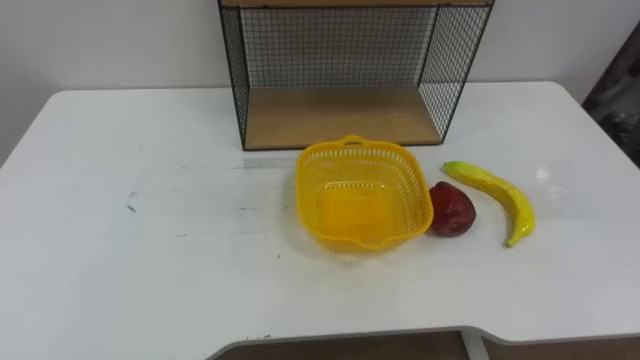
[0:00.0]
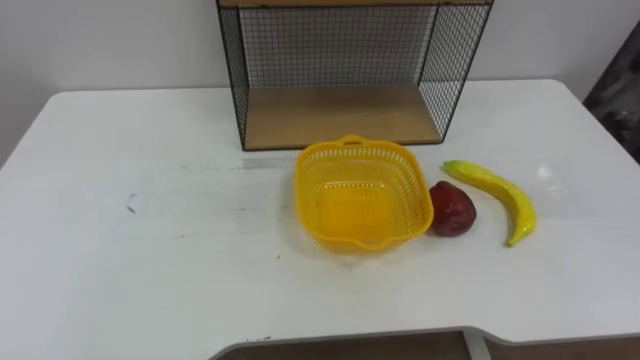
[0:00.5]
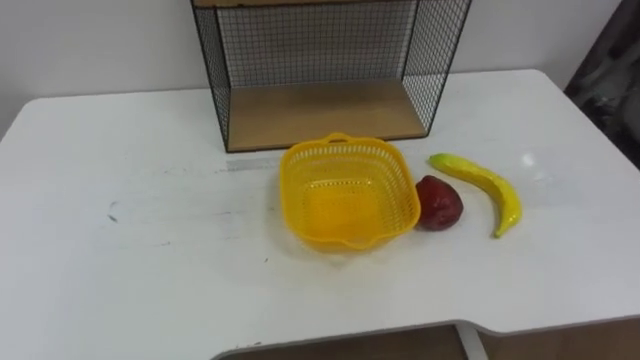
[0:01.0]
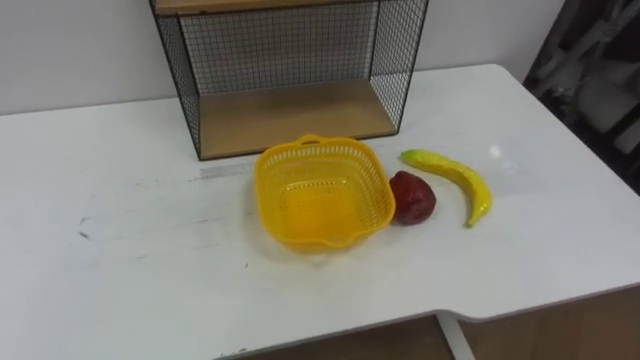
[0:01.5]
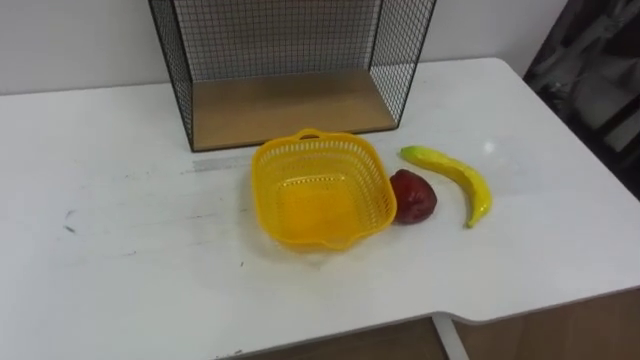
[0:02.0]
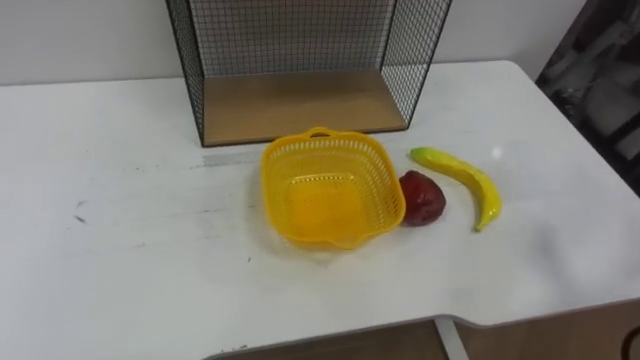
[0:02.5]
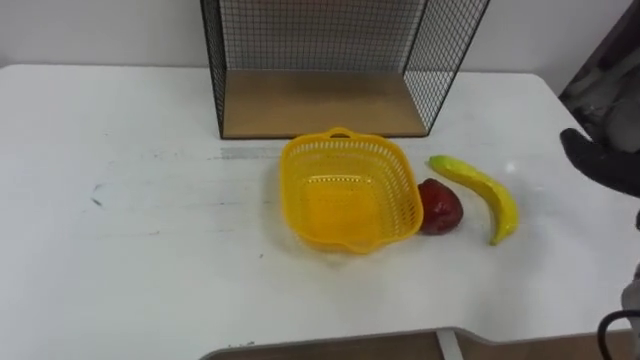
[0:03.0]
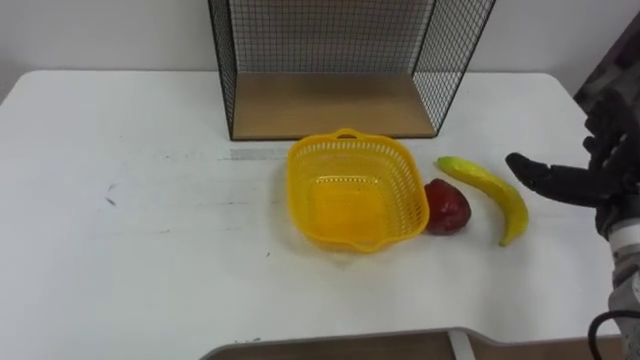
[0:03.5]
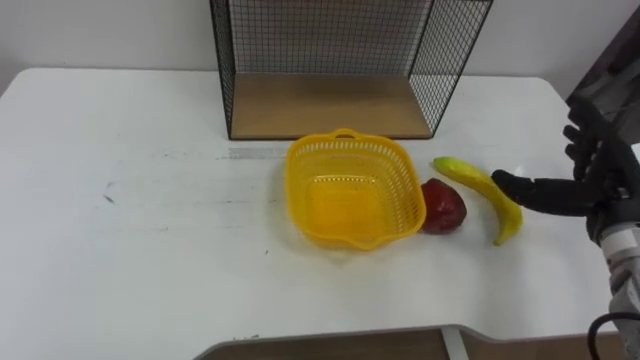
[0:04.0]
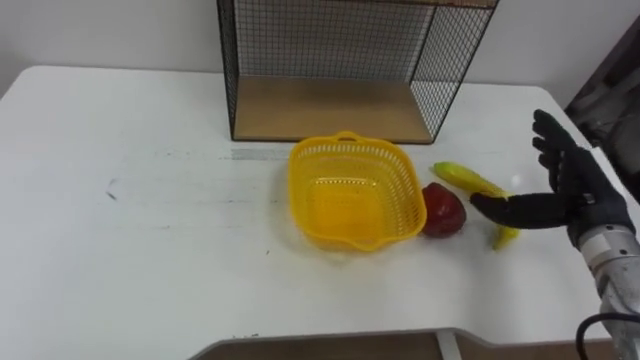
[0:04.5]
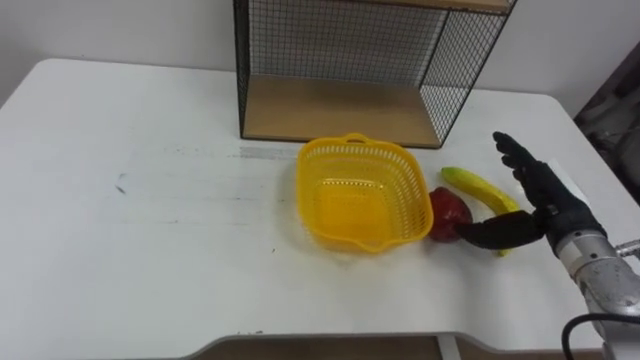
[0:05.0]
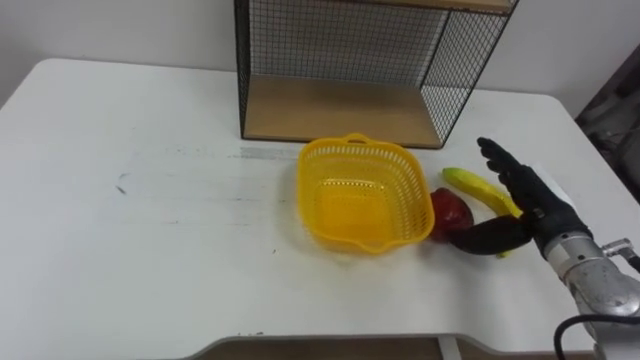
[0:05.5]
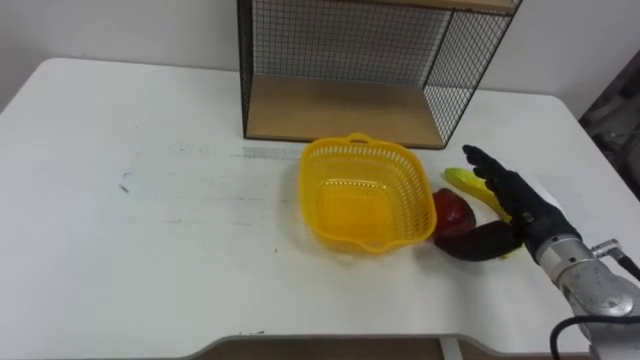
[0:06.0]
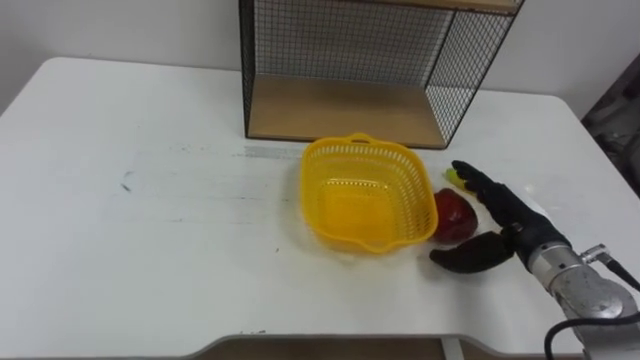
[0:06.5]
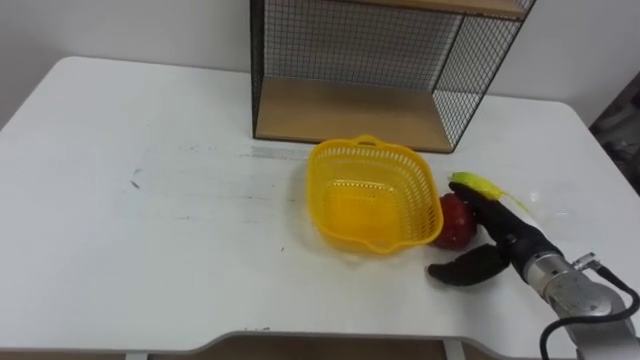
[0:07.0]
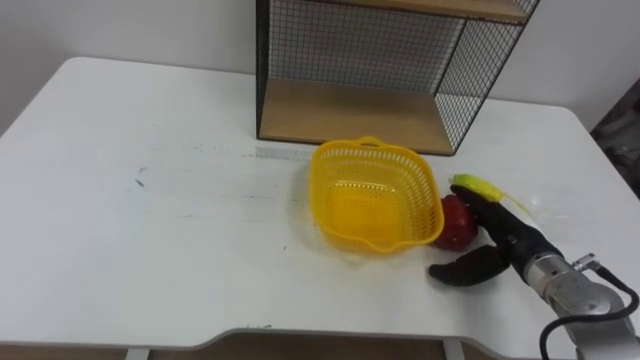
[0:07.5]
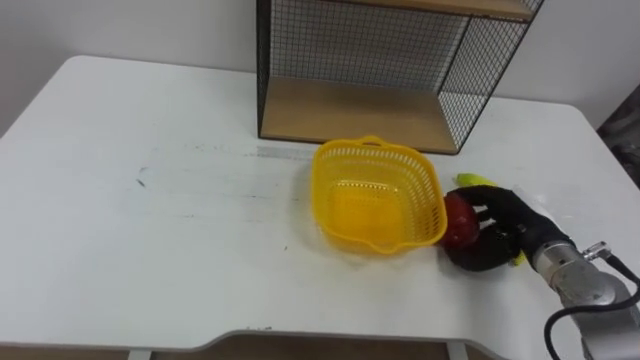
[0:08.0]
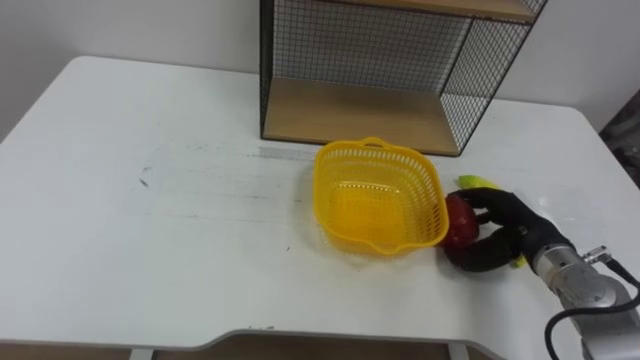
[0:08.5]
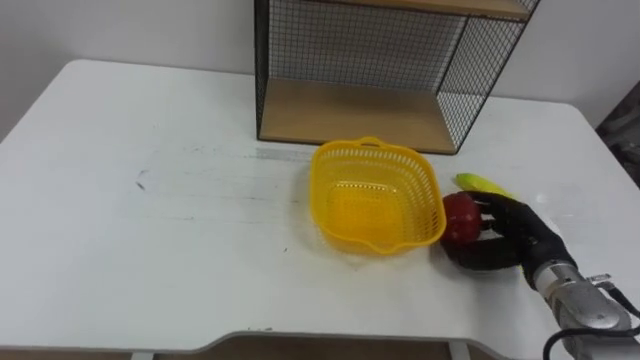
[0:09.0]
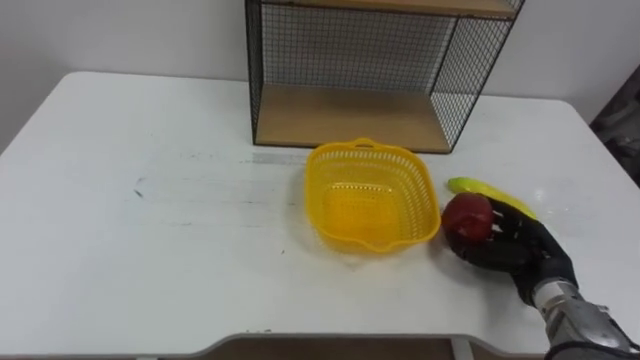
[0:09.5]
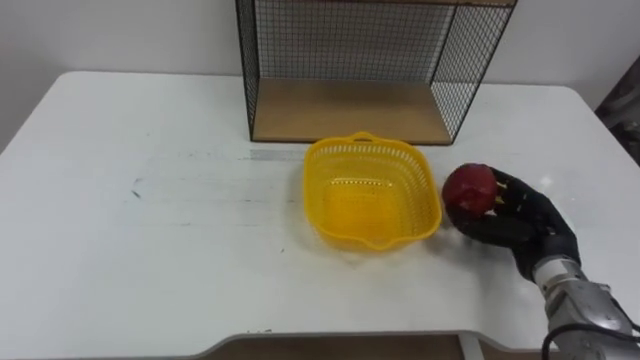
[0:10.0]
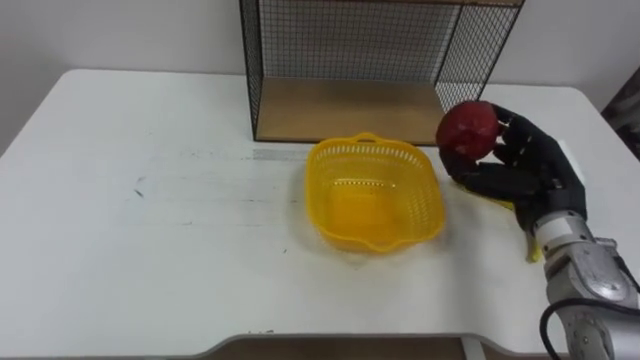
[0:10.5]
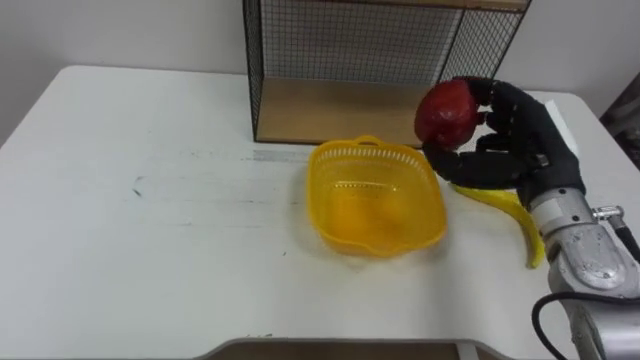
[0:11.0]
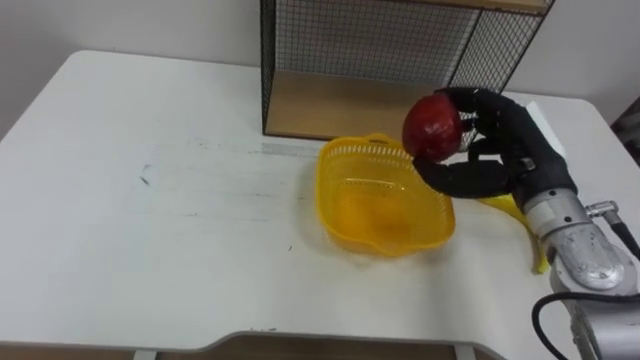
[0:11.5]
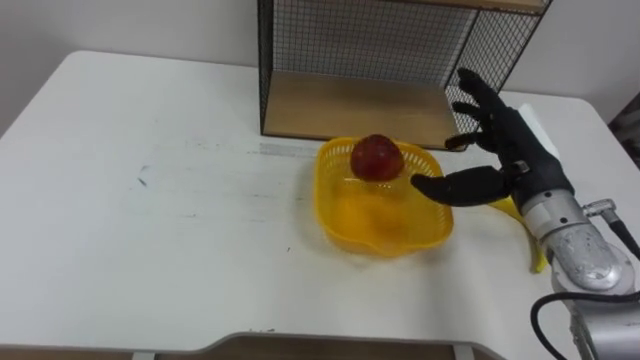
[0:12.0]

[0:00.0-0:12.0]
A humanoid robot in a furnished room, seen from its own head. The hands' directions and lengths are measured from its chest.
Task of the whole recording: Put the fruit on the table into the basket, then place the basket on the shelf.
0:04.0 to 0:06.0: The right hand travels to the left by approximately 5 cm.
0:06.0 to 0:08.0: The right hand closes.
0:10.0 to 0:12.0: The right hand goes roughly 15 cm upward and to the left, and opens up.

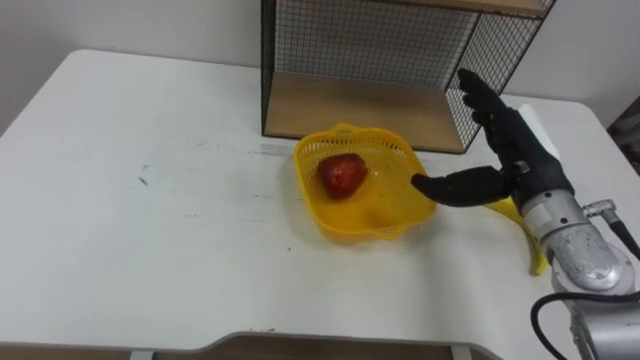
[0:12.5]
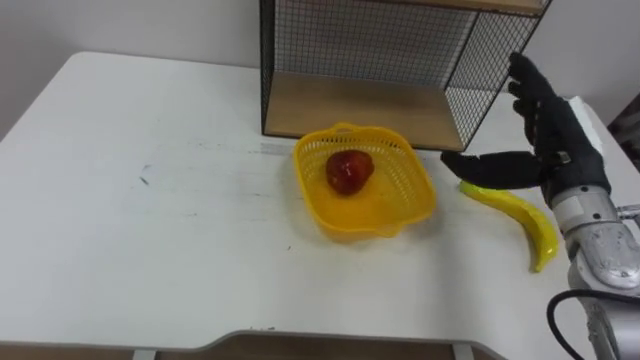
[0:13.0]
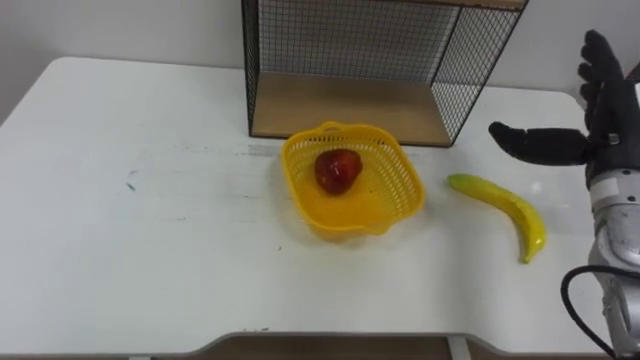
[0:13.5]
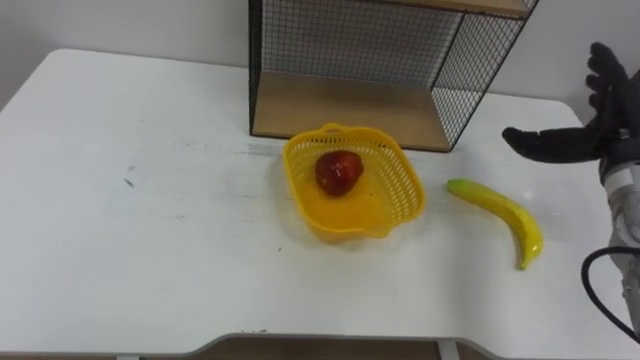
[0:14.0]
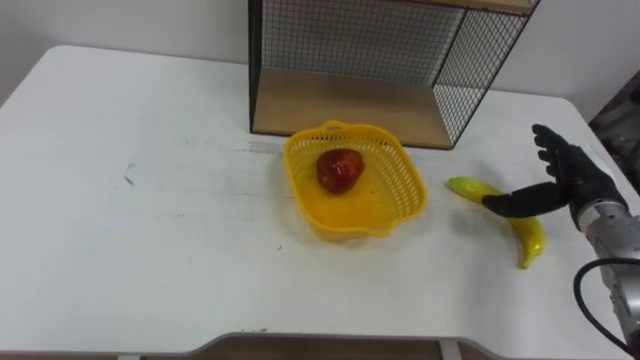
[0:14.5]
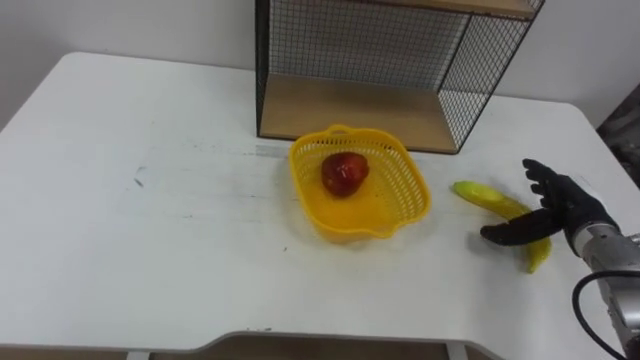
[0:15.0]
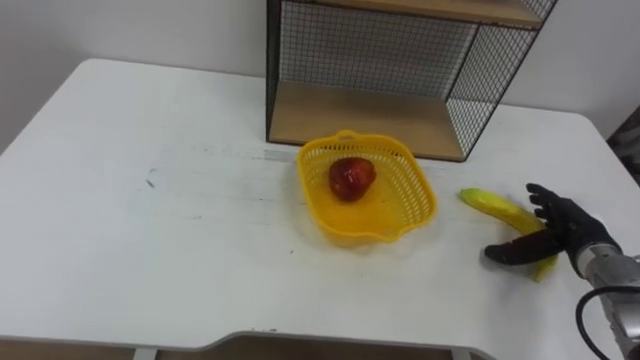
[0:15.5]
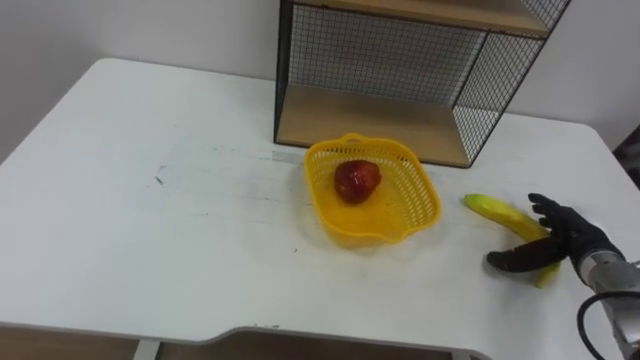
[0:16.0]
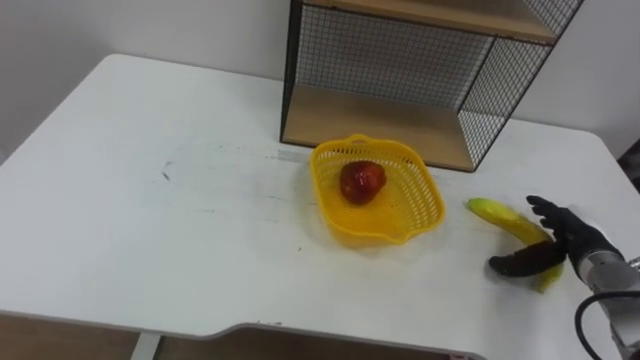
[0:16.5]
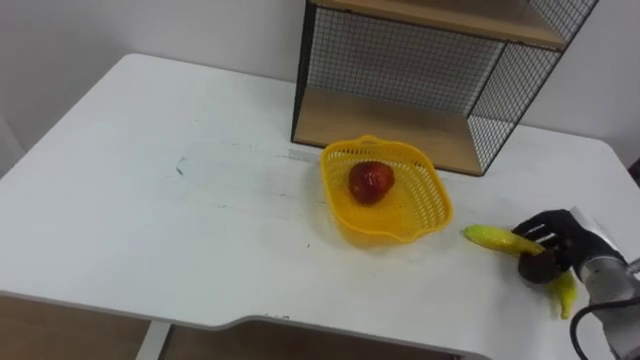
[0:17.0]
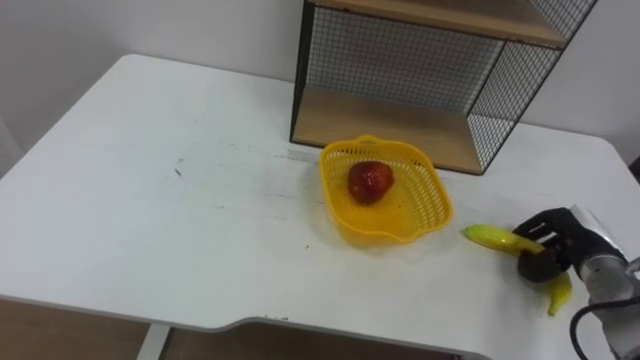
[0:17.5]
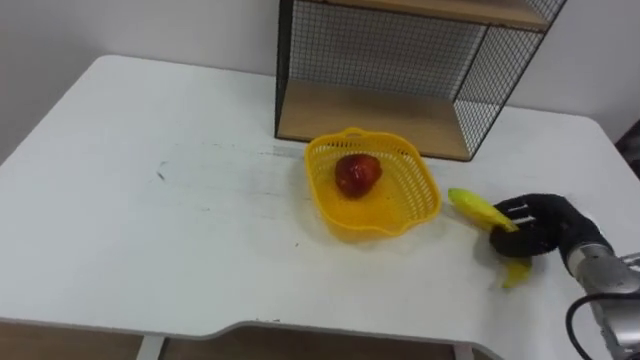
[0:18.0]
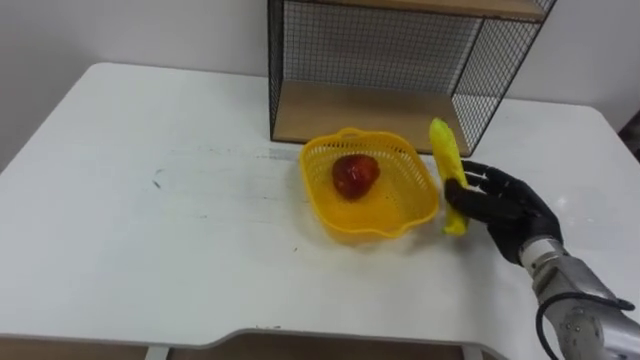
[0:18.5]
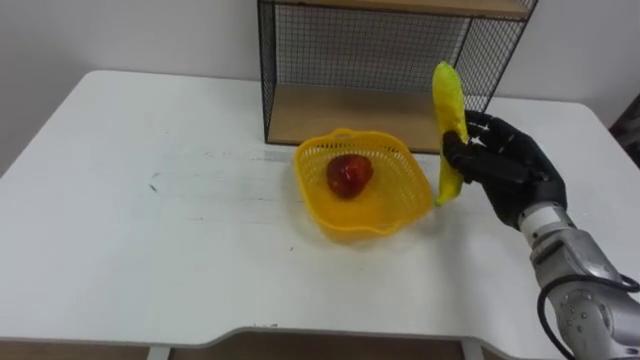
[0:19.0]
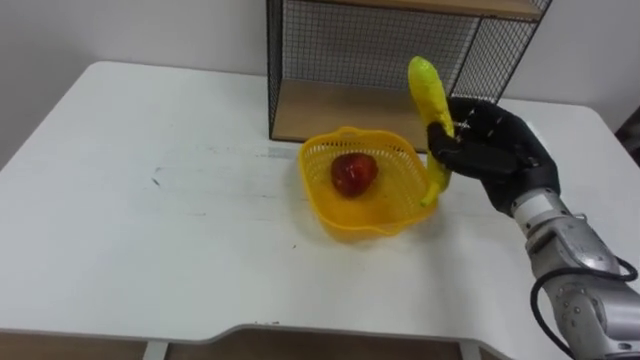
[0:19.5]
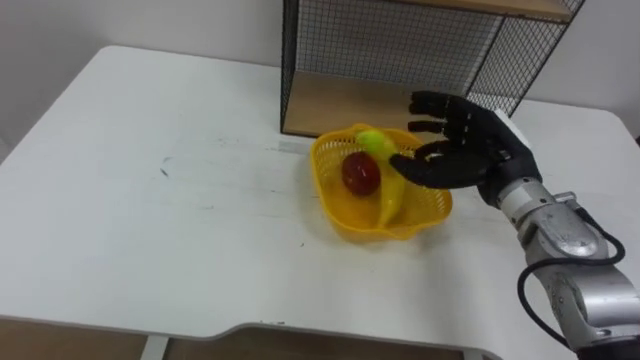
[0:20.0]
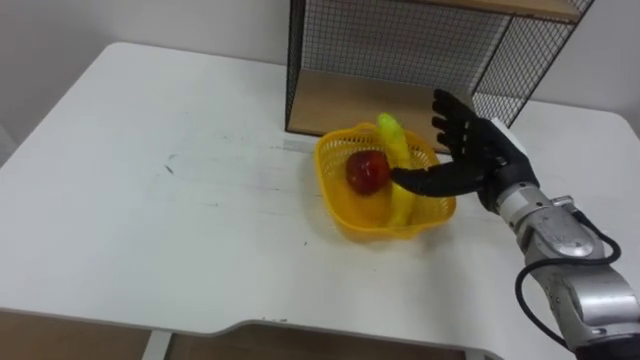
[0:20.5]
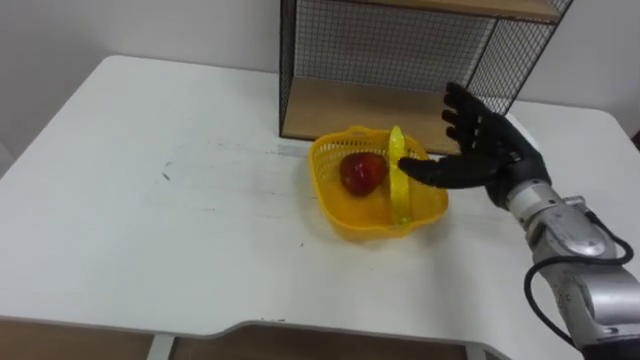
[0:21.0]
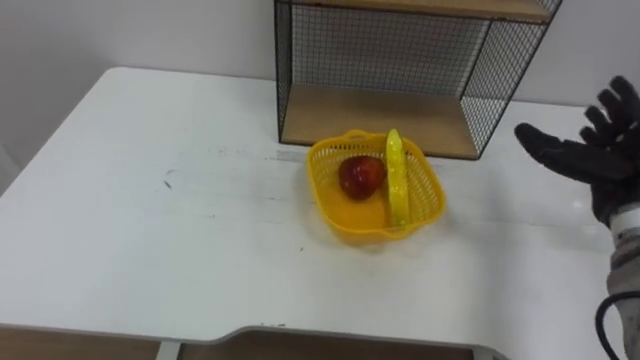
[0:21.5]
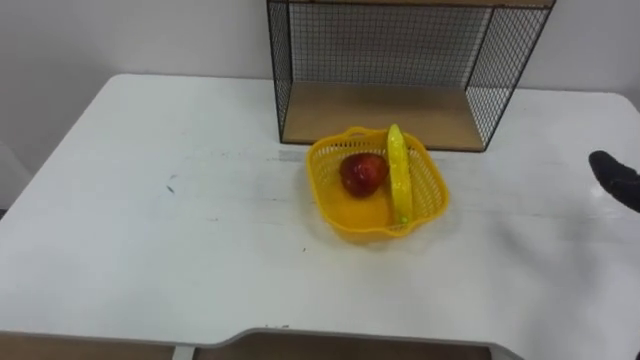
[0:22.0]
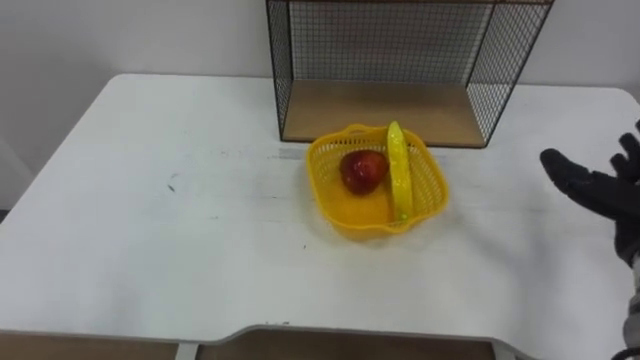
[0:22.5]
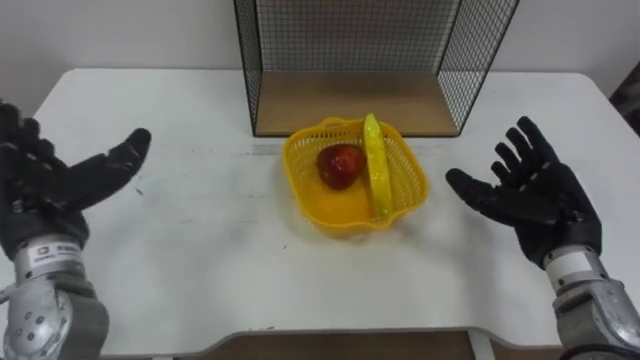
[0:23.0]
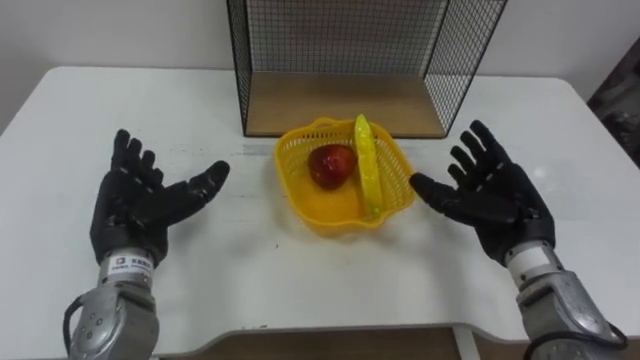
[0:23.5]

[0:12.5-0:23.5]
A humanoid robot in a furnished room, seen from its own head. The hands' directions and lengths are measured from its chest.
Task of the whole recording: Put the fruit on the table into the basket, then place the basket on the shelf.
0:12.5 to 0:14.5: The right hand heads to the right and downward, covering roughly 15 cm.
0:14.5 to 0:16.0: The right hand shifts roughly 10 cm downward.
0:16.0 to 0:18.0: The right hand closes its fingers.
0:18.0 to 0:20.0: The right hand moves to the left and upward, some 15 cm.
0:20.0 to 0:21.5: The right hand shifts about 10 cm to the right.
